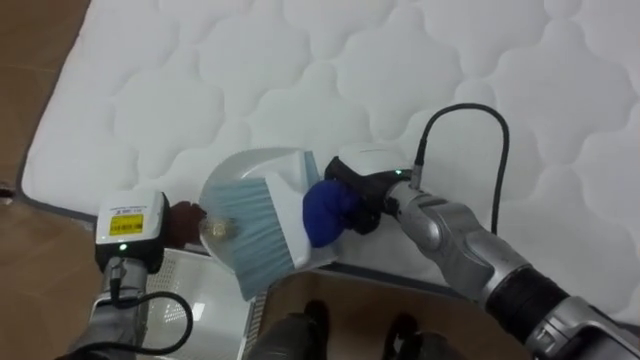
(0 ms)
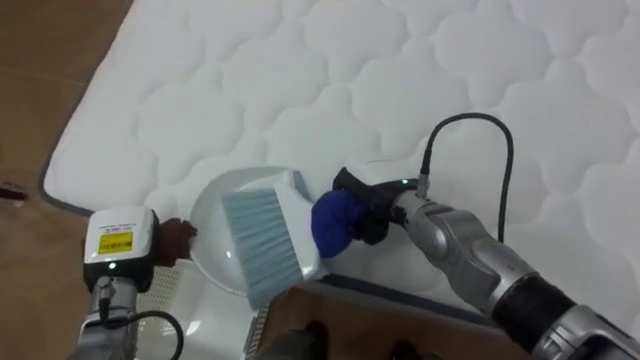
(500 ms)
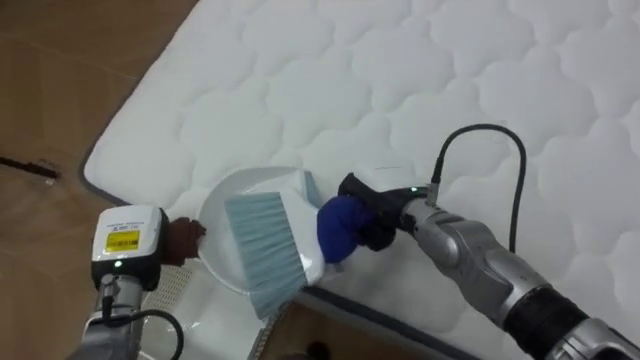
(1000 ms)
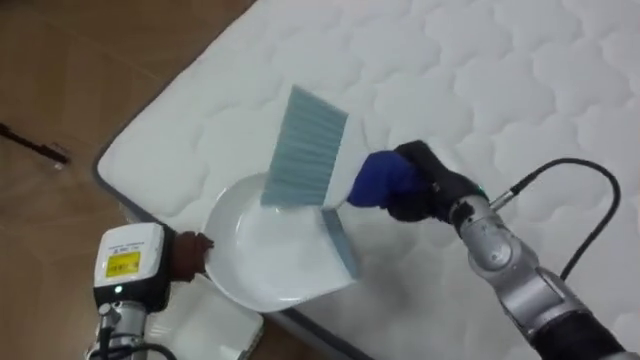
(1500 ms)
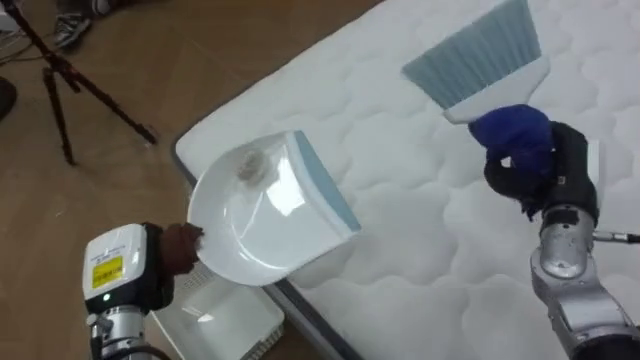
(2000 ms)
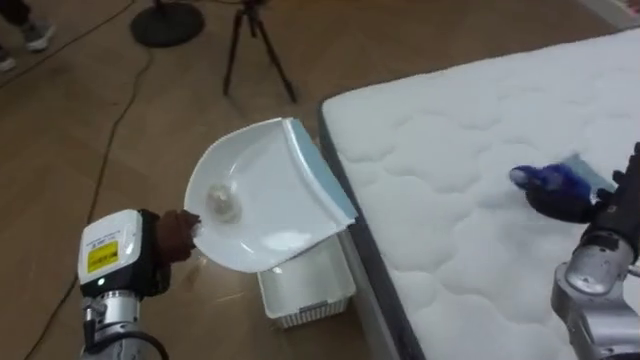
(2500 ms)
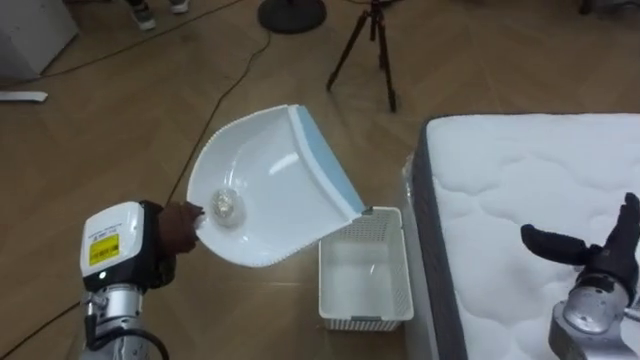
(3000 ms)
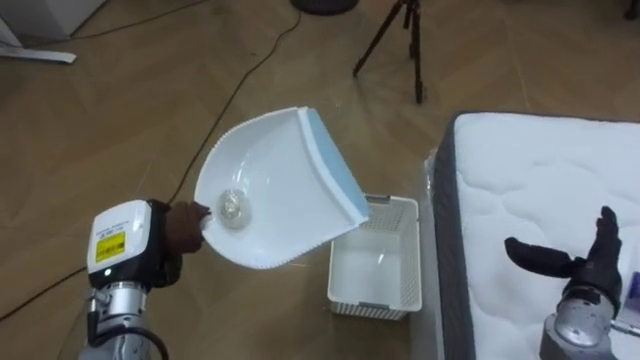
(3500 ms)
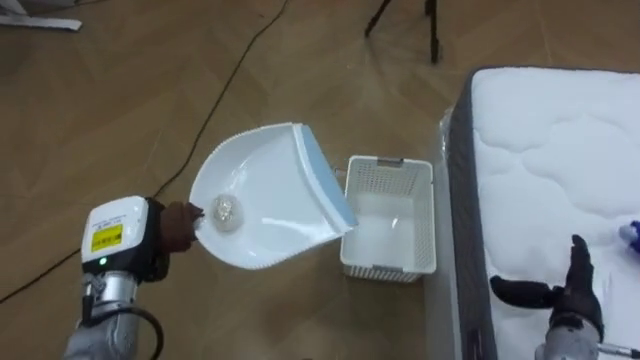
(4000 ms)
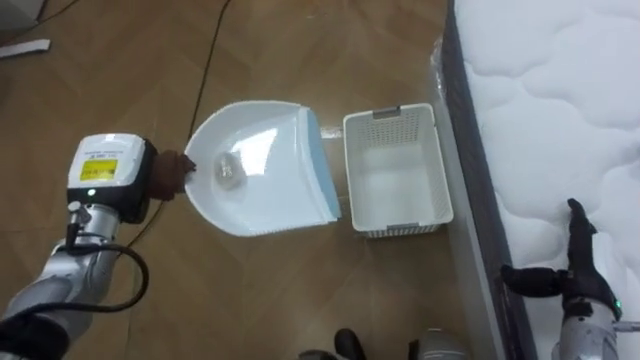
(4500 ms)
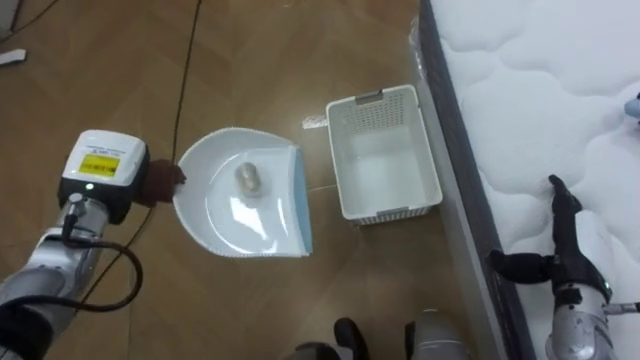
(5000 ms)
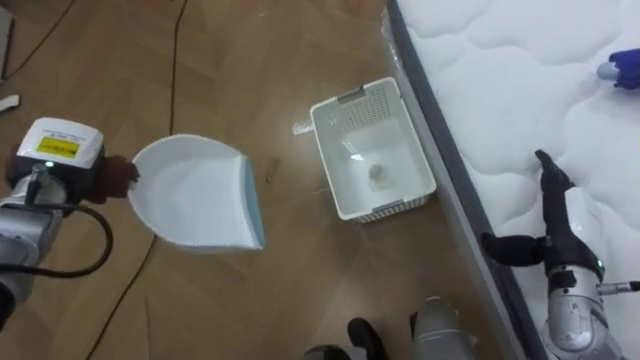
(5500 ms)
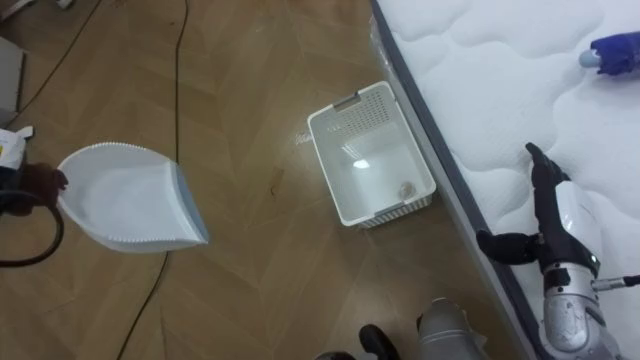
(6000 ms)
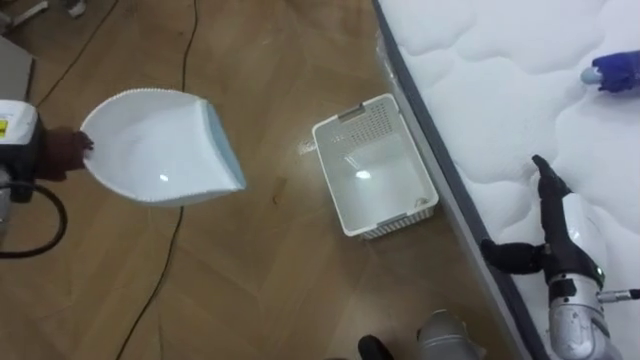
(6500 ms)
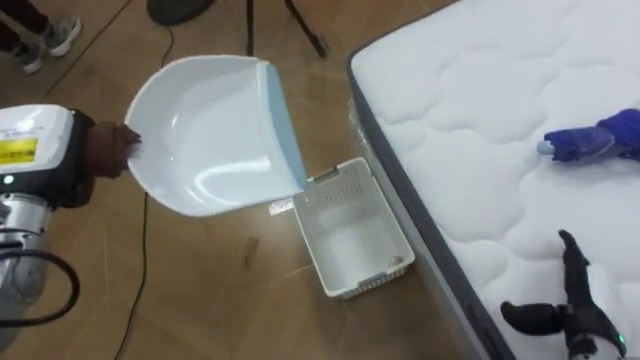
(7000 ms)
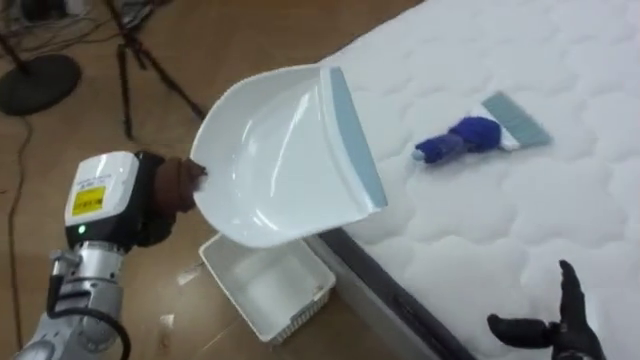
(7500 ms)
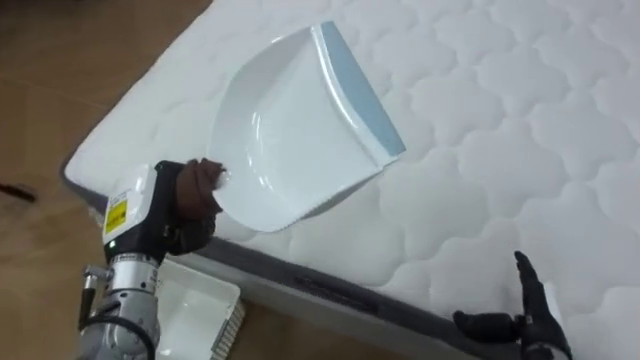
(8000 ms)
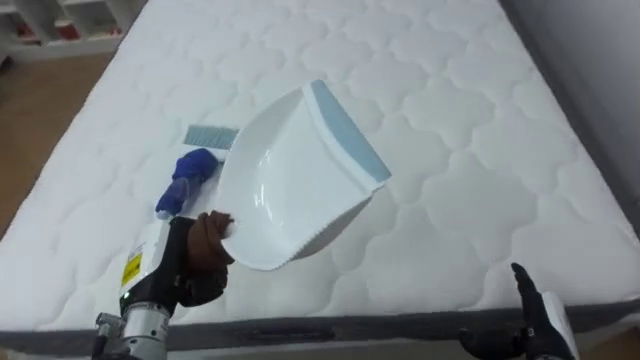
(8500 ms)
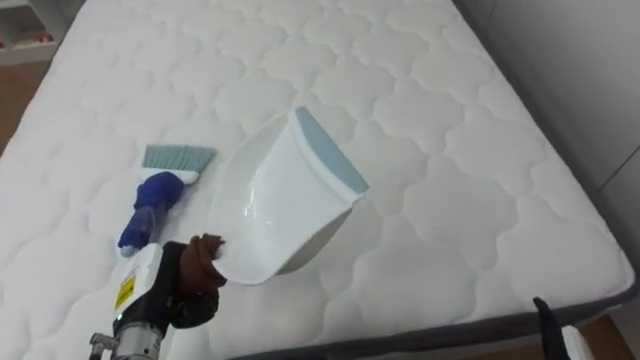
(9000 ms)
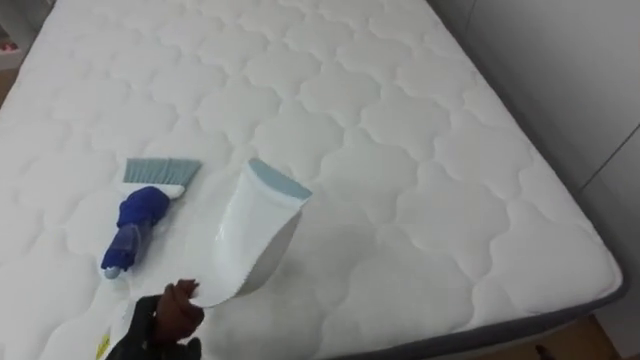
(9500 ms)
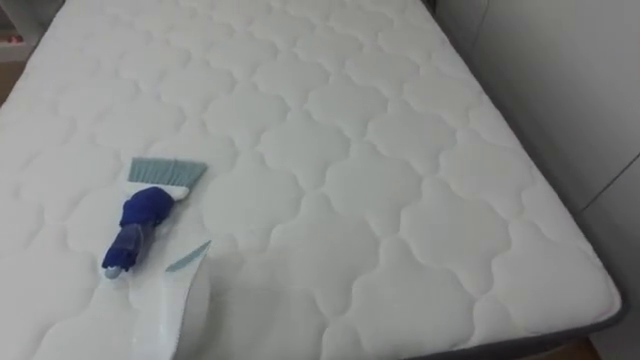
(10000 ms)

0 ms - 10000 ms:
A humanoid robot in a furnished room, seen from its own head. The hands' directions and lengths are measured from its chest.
Task of the whole recording: Pick up the brush on your right and the dustpan on your left. Use the brush to sweep the crumpled paper on the bed into the dustpan, then turn left and empty it into the basket.
0 ms - 2000 ms: The robot's body swings approximately 40 degrees to its left. The right hand moves to the right, some 25 cm. Meanwhile the left hand is displaced backward by approximately 5 cm.
2000 ms - 4000 ms: The robot turns to its left by roughly 60 degrees. The right hand travels downward and backward by approximately 15 cm, and opens its fingers.
4000 ms - 6000 ms: The right hand is displaced upward and forward by about 10 cm.
6000 ms - 8000 ms: The robot rotates roughly 70 degrees to its right. The right hand is displaced downward and backward by about 10 cm.
8000 ms - 10000 ms: The robot faces about 35 degrees further to its right.

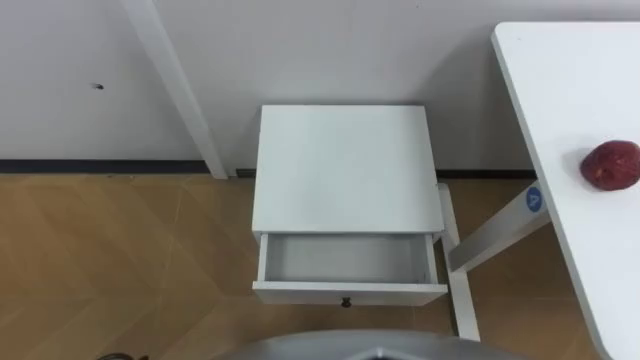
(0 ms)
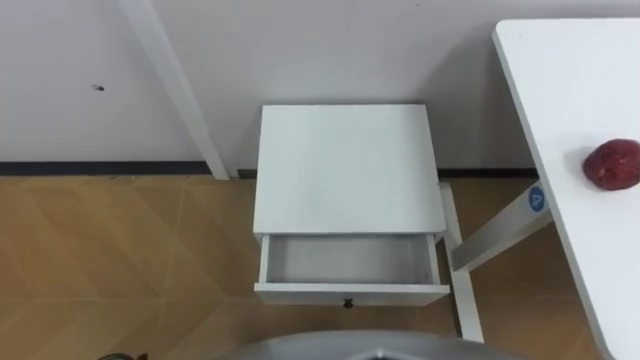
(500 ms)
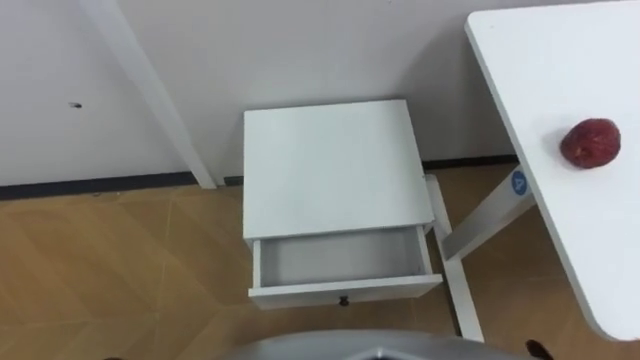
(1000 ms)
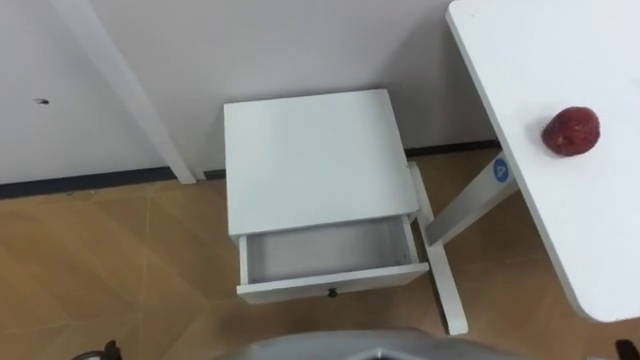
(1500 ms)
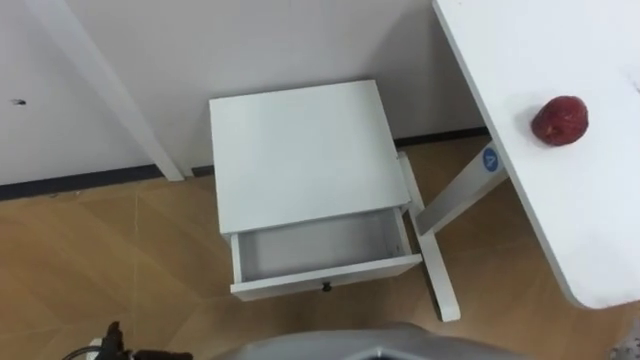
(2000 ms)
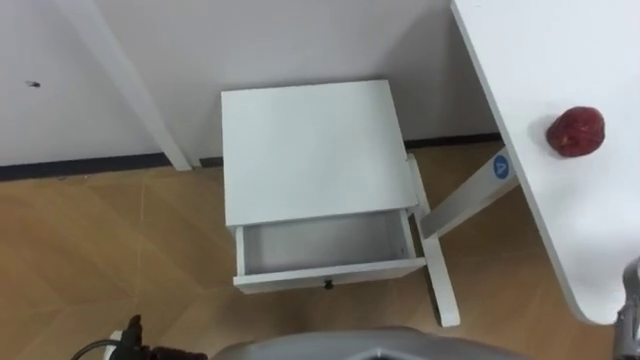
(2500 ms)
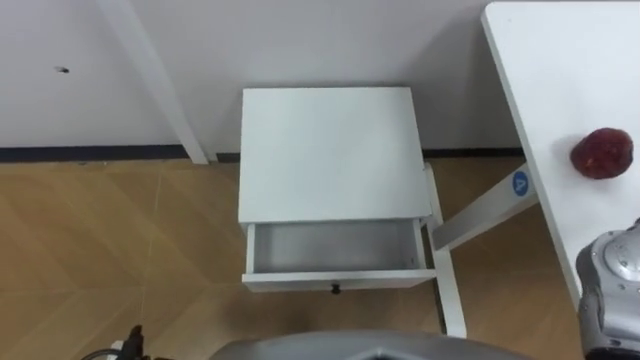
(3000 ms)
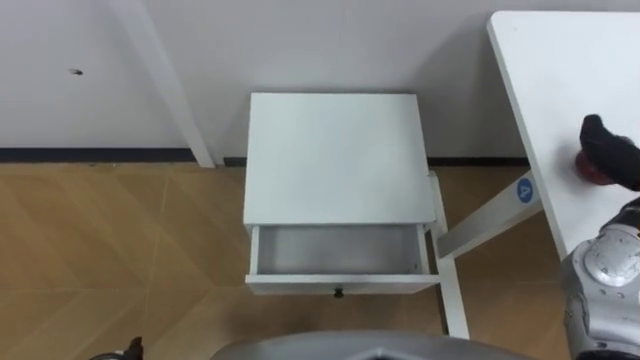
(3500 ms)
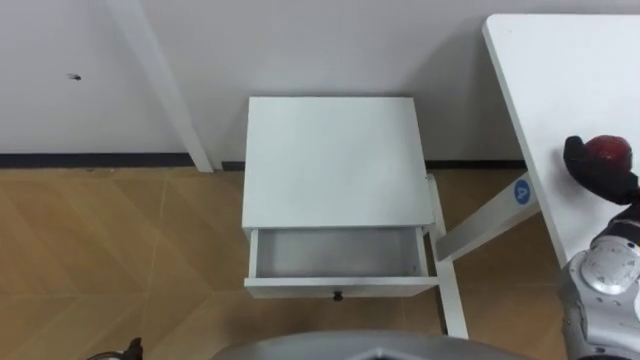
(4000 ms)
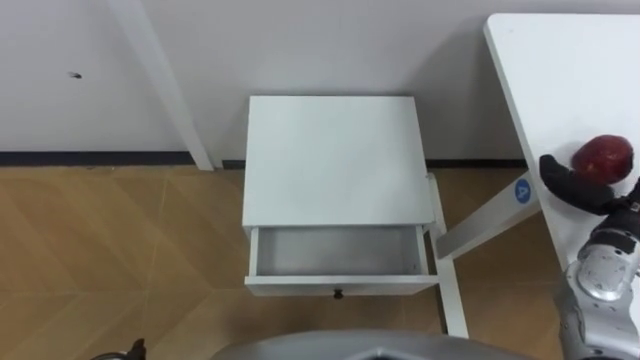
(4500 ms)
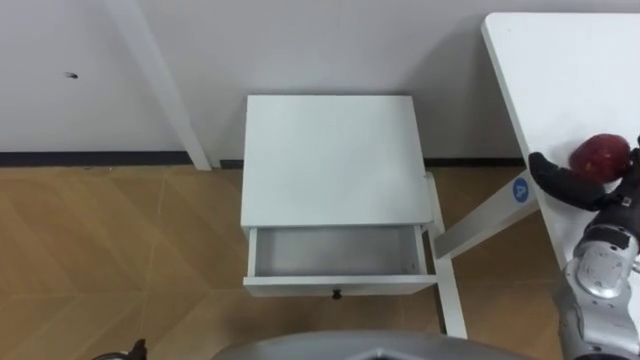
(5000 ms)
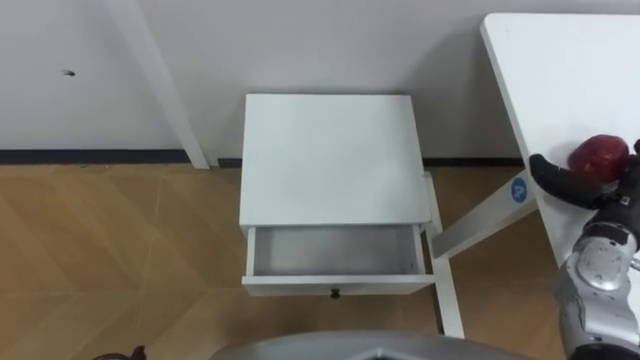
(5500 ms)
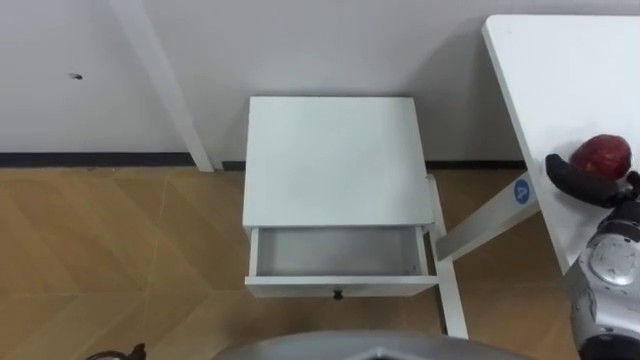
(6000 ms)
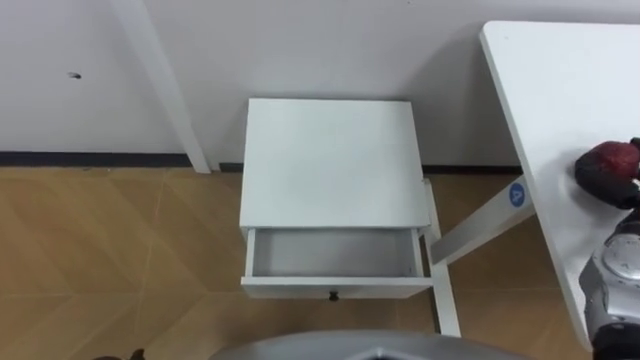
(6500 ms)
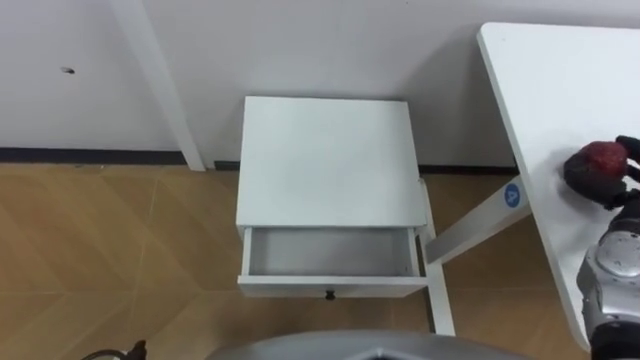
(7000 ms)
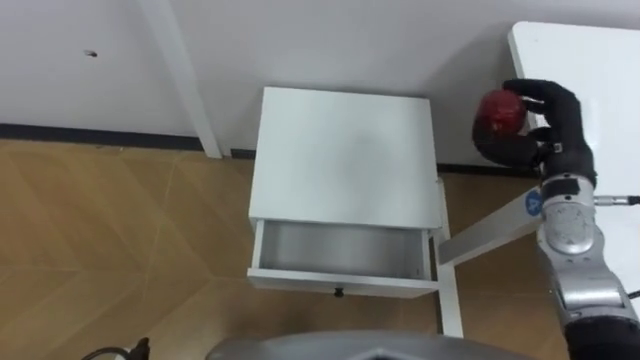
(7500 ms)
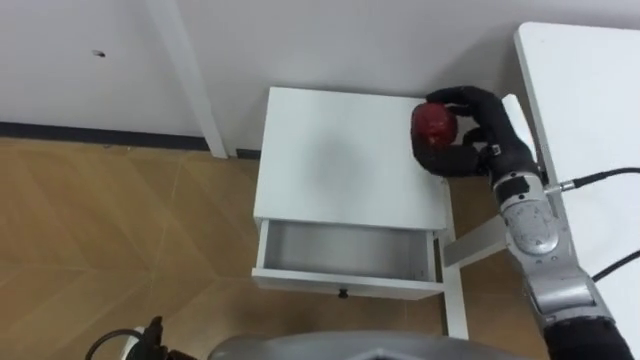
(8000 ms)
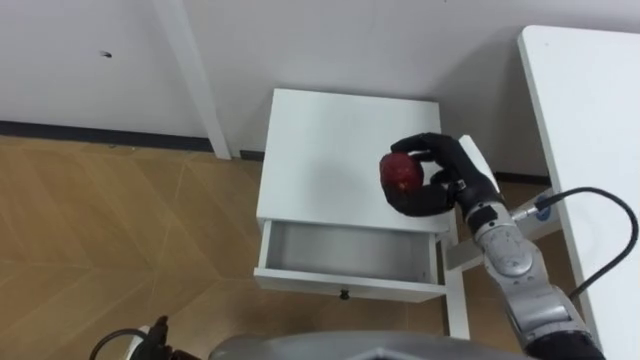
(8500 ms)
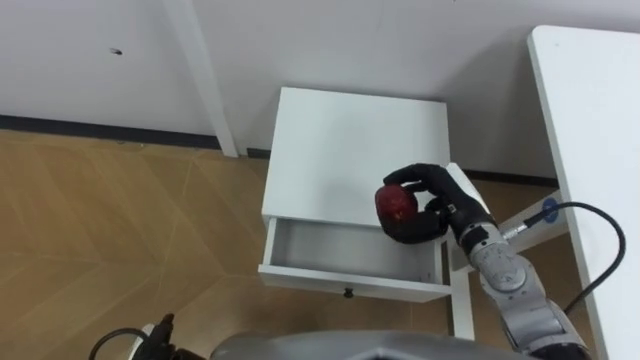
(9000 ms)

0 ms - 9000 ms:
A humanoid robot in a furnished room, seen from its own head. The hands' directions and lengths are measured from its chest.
Task of the whole recording: Pick up the apple from the table, put it in the drawer, and close the drawer with leg.
7000 ms - 9000 ms: The right hand moves to the left, approximately 20 cm.

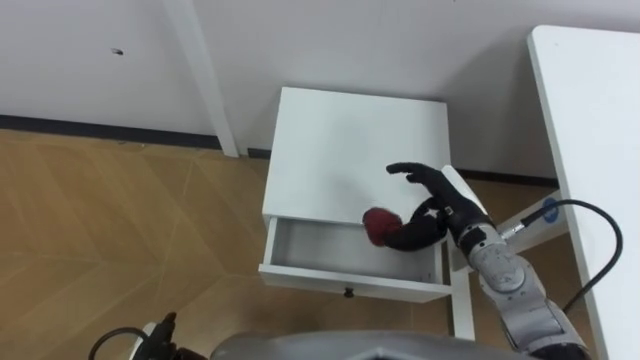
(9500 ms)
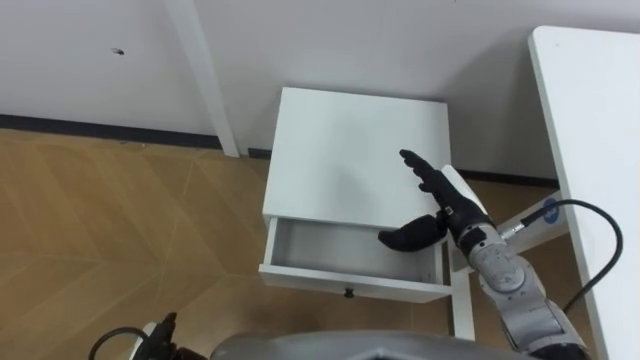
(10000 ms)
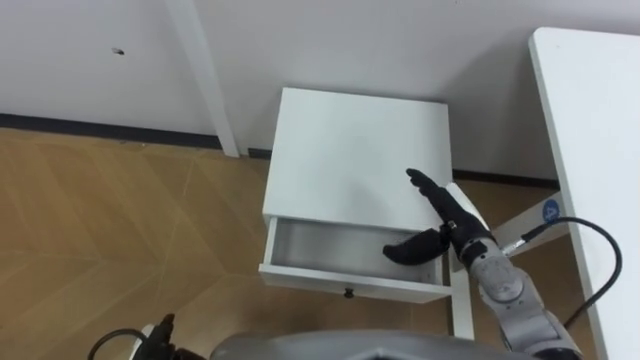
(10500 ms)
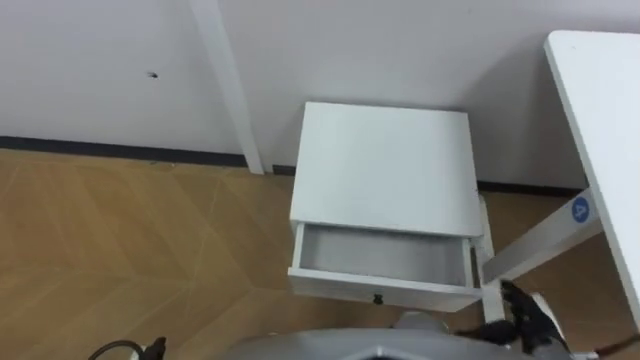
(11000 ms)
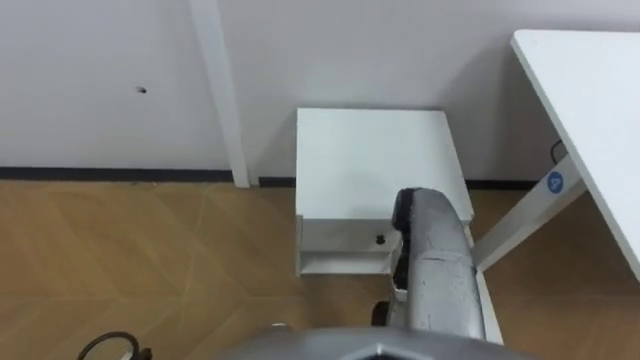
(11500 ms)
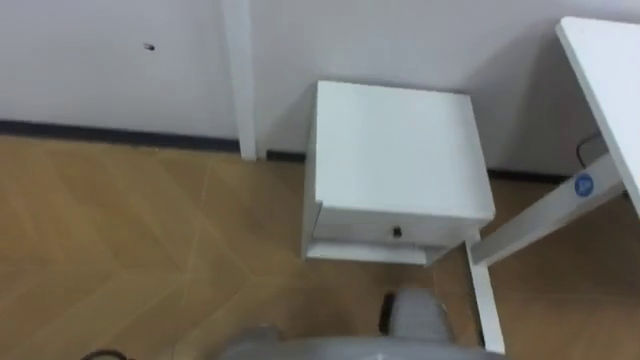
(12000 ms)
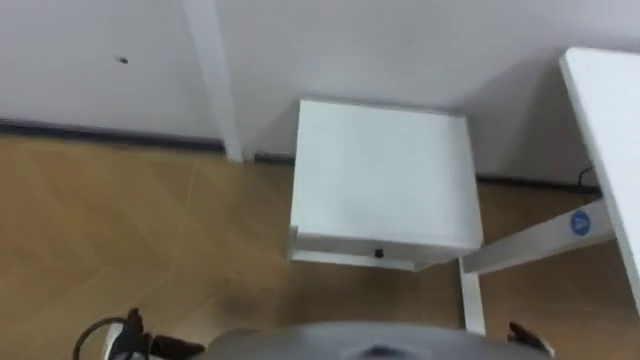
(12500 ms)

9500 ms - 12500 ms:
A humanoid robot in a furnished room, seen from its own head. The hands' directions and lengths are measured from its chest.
Task of the whole recording: Pick up the apple from the table, put it in the drawer, and close the drawer with leg.
9500 ms - 11000 ms: The right hand travels backward, to the right and downward by some 20 cm.
